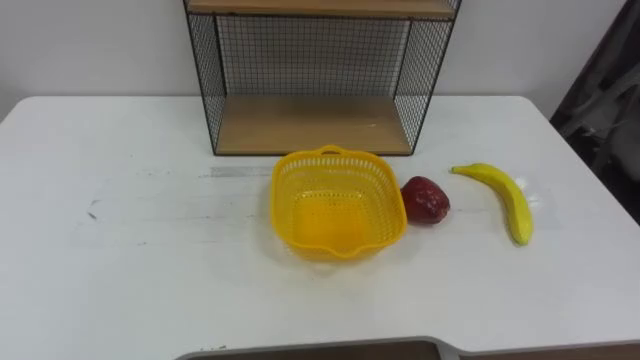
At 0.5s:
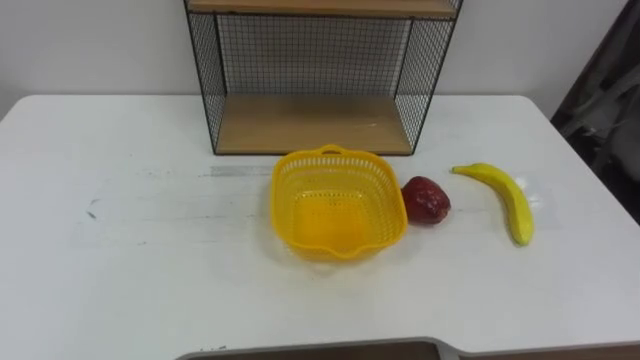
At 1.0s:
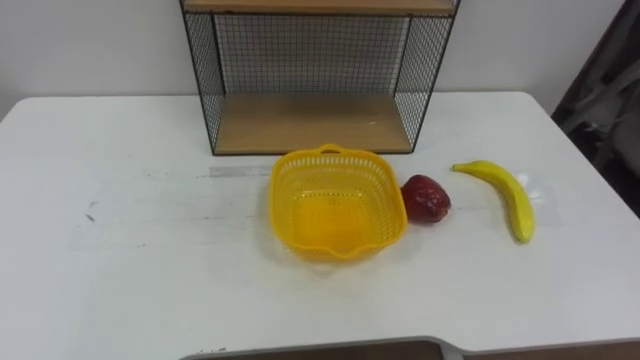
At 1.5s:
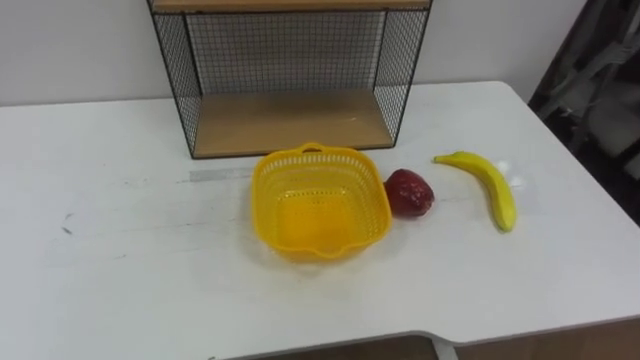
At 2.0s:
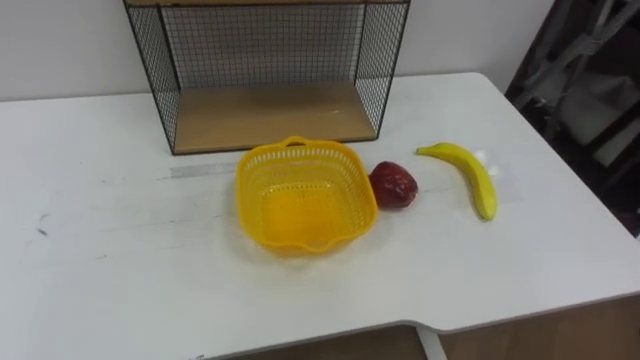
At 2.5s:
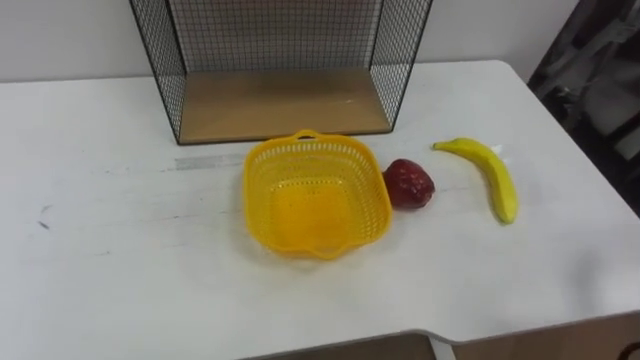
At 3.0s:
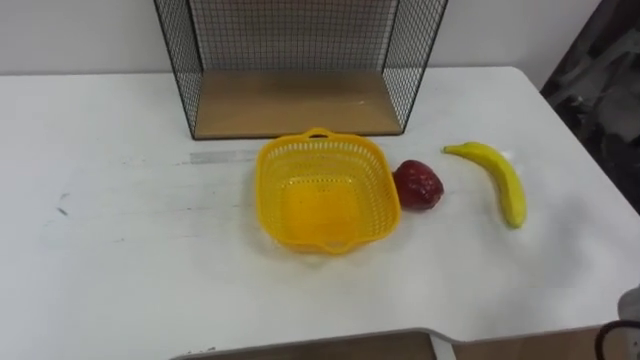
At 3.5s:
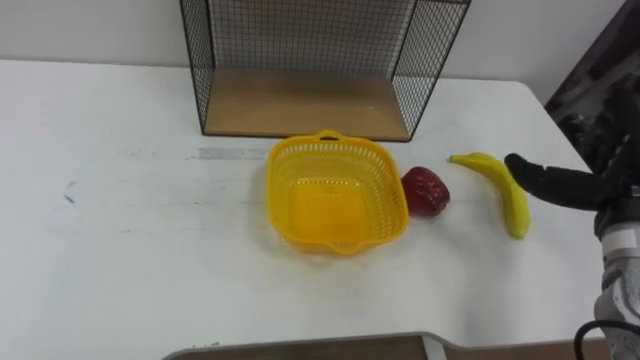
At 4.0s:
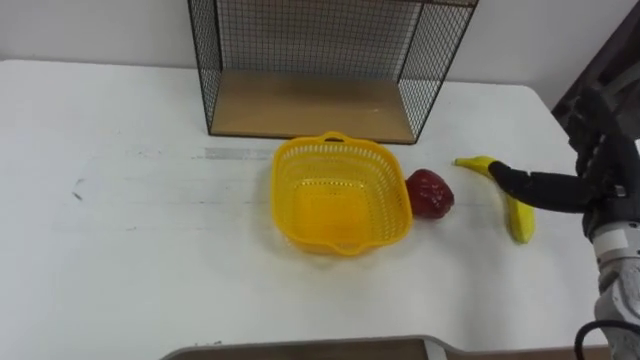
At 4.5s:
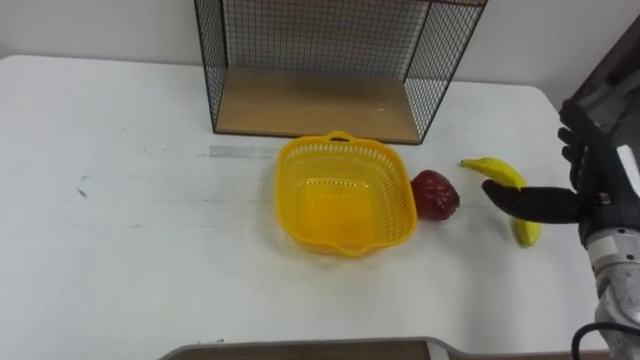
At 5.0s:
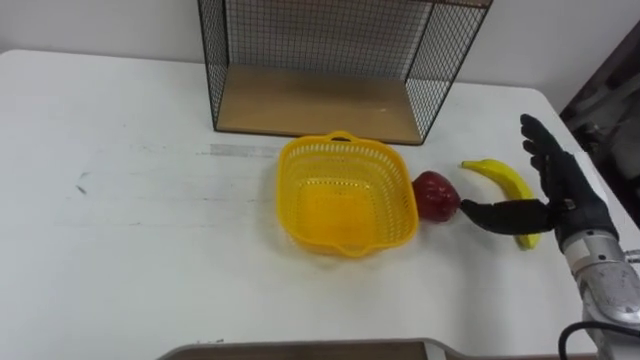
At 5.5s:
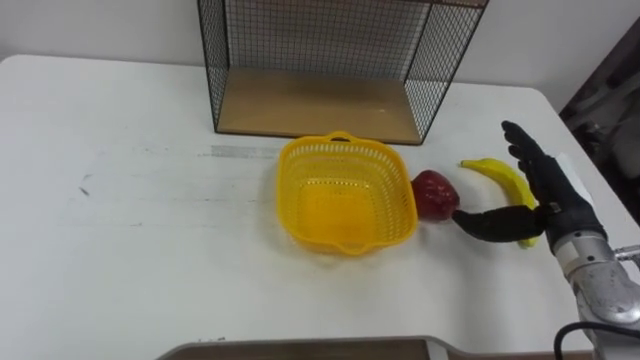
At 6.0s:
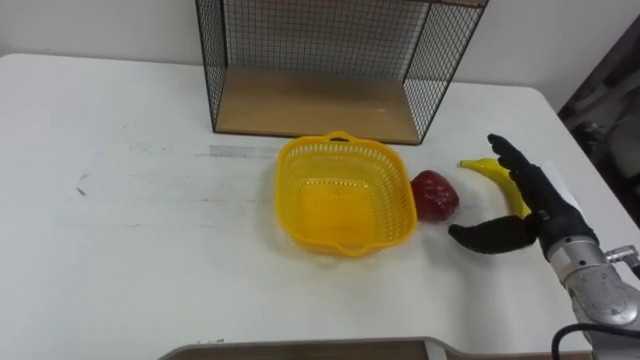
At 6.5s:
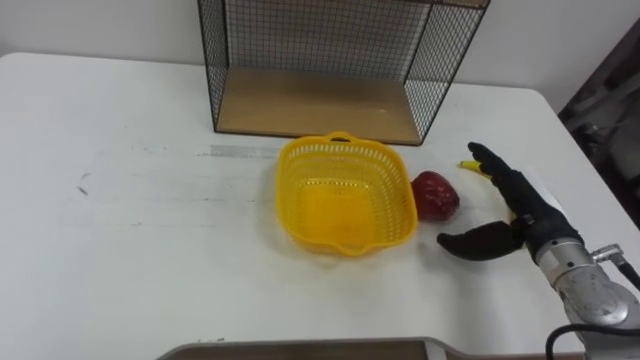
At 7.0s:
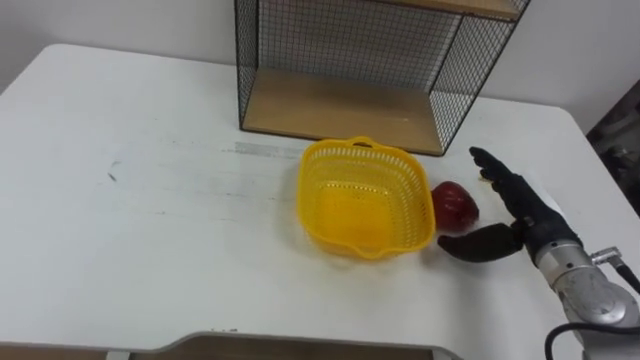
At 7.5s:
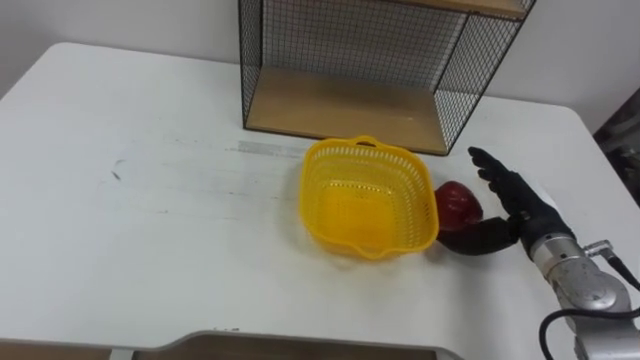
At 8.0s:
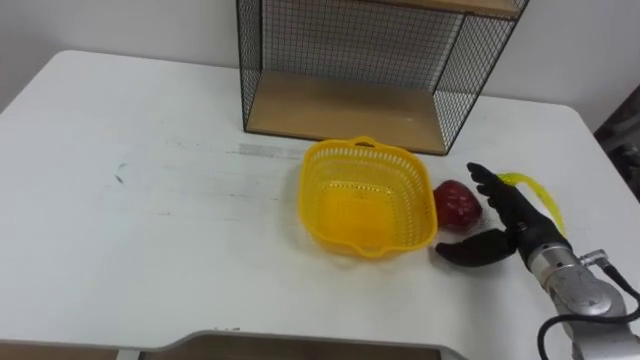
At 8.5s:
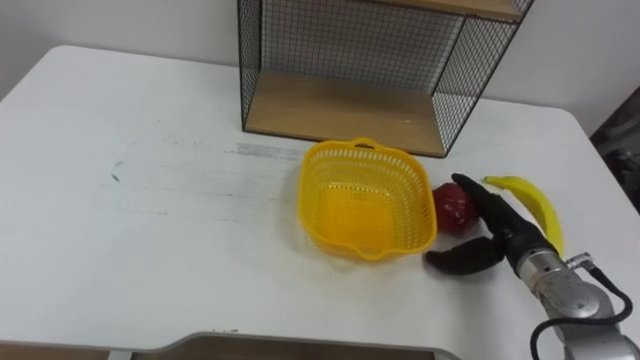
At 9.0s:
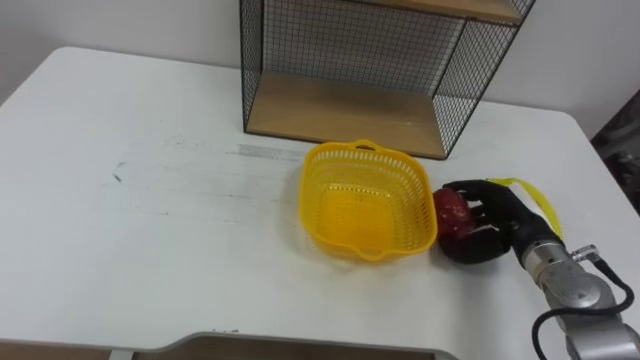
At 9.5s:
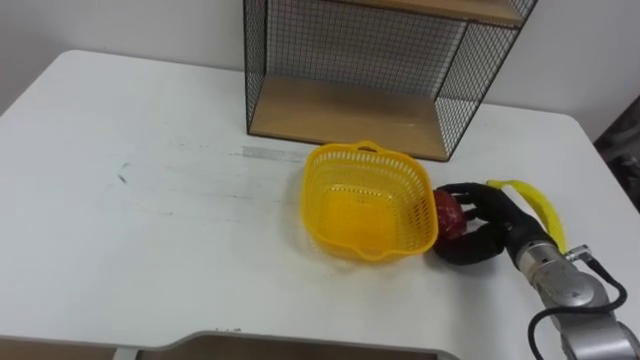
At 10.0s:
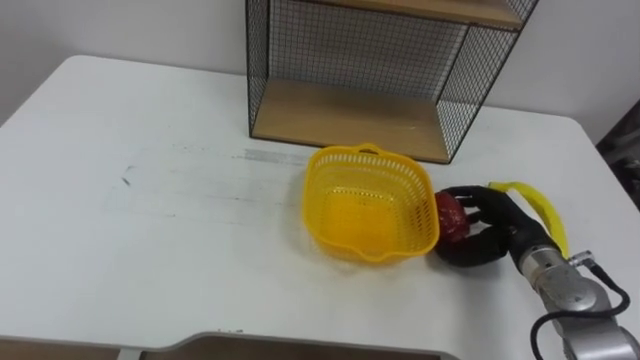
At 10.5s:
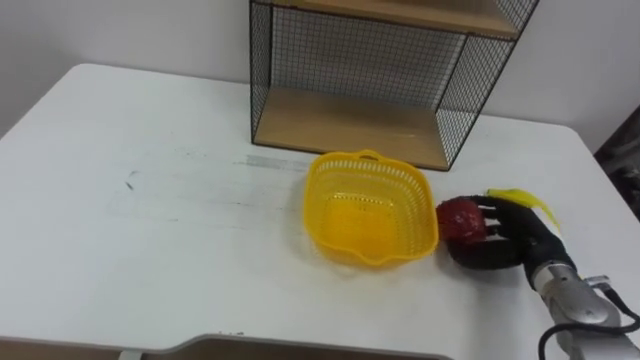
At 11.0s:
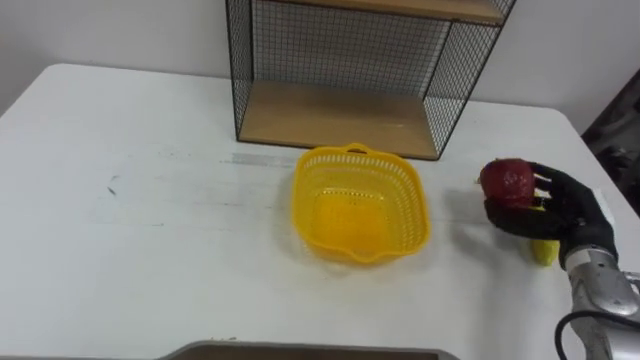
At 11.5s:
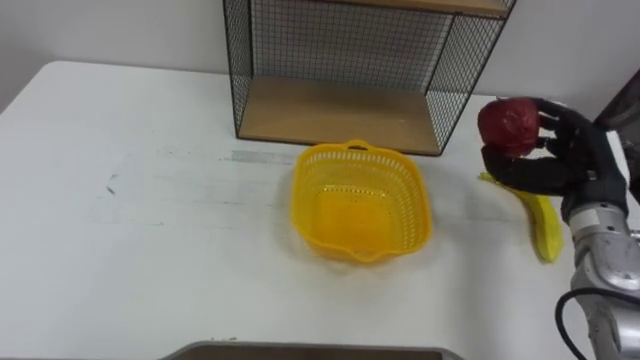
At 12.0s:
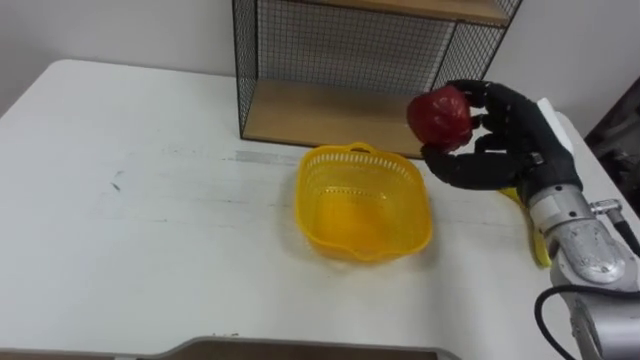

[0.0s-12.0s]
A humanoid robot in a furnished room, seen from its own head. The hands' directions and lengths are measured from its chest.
Task of the whole recording: Put the fruit on the table into the basket, then place the basket on the shelf.
4.0s to 6.0s: The right hand moves about 5 cm.
8.0s to 10.0s: The right hand closes.
10.0s to 12.0s: The right hand is displaced upward by roughly 15 cm.

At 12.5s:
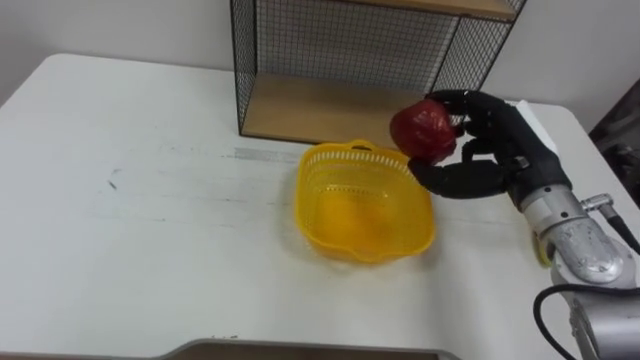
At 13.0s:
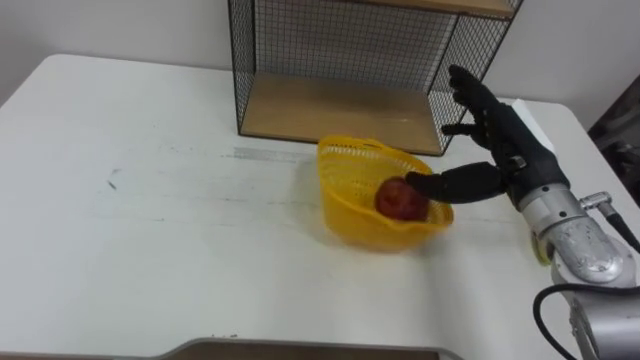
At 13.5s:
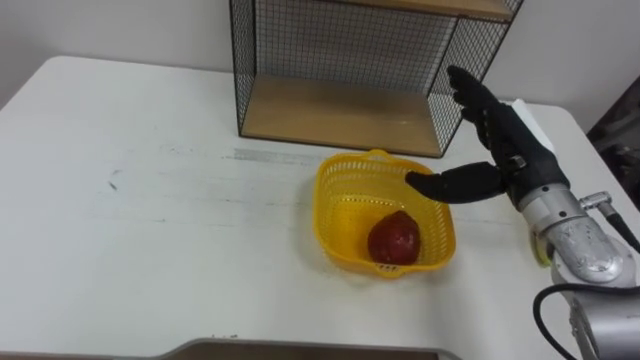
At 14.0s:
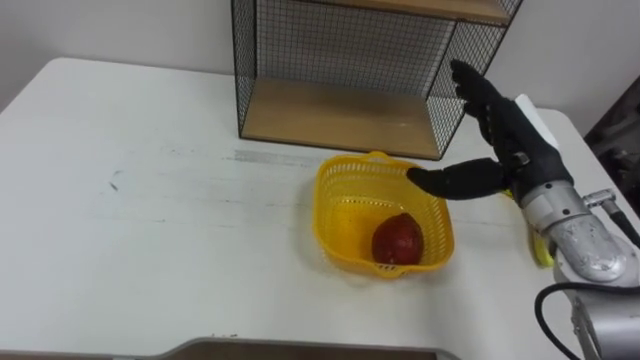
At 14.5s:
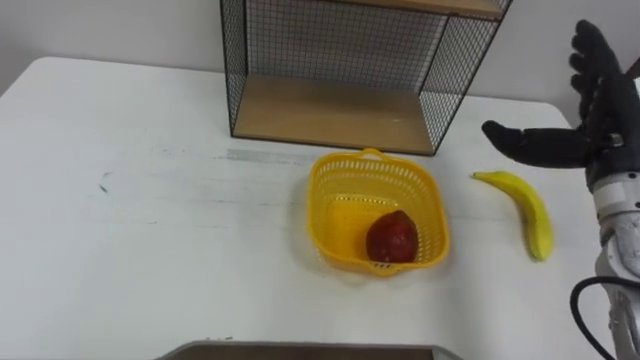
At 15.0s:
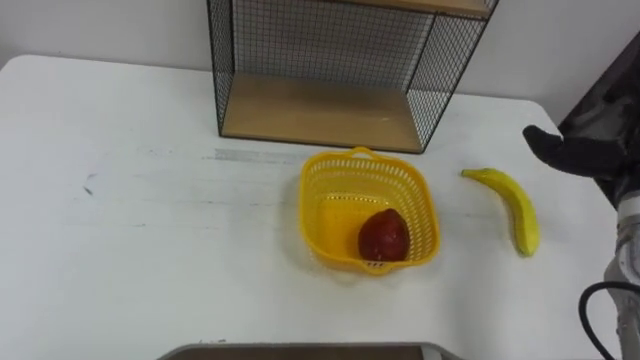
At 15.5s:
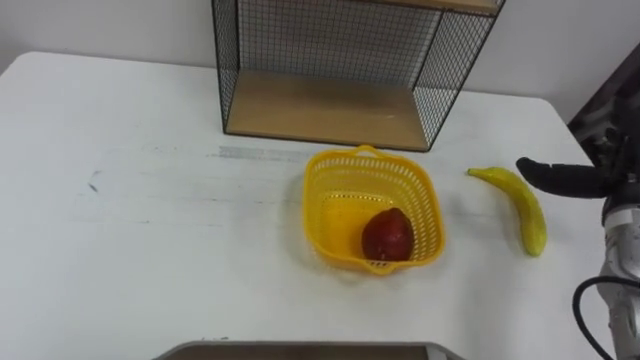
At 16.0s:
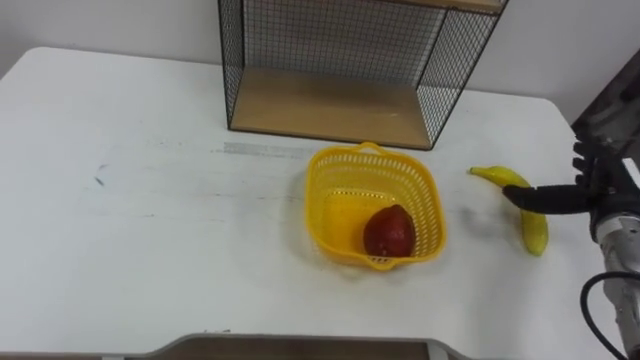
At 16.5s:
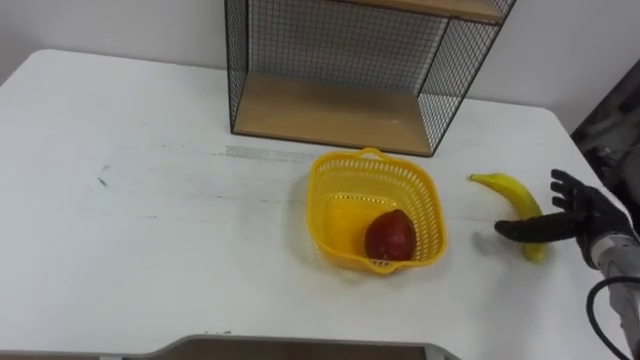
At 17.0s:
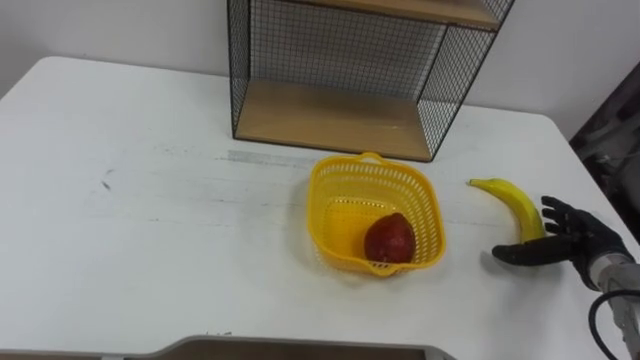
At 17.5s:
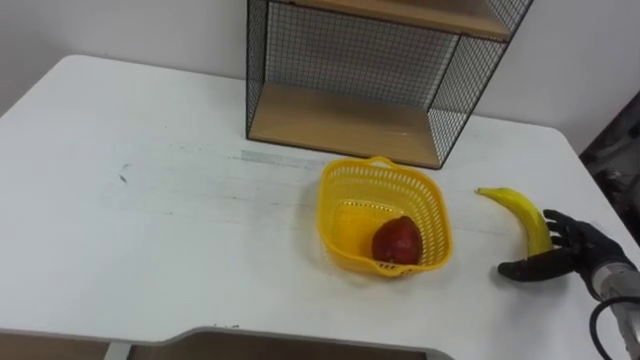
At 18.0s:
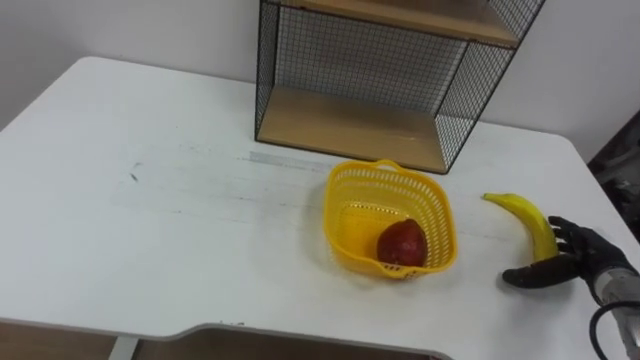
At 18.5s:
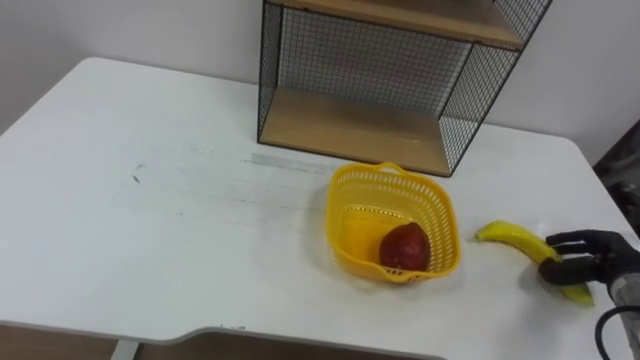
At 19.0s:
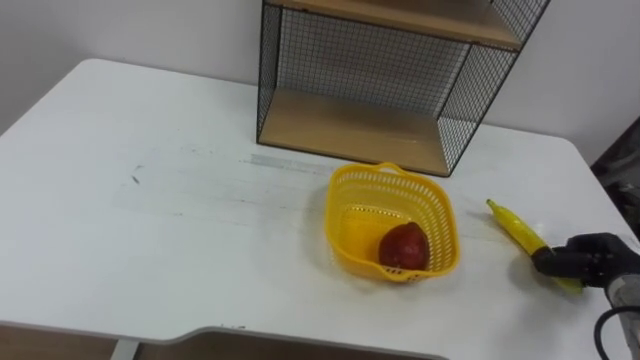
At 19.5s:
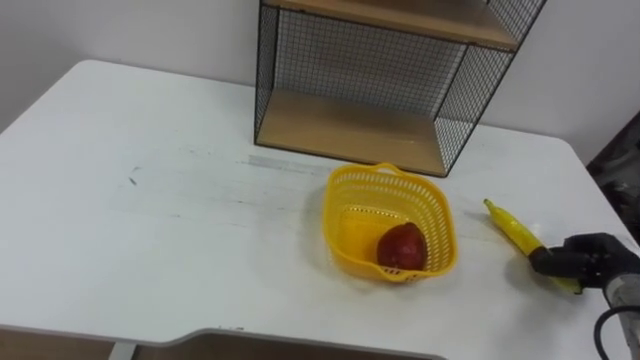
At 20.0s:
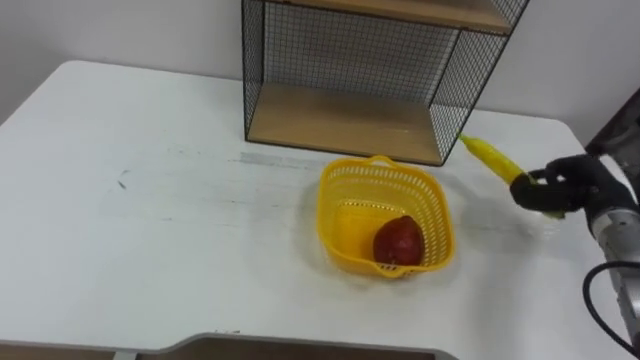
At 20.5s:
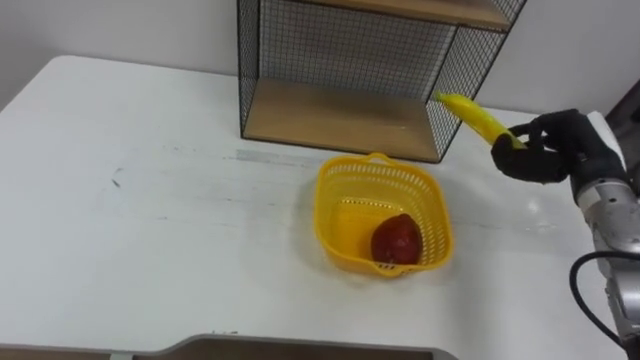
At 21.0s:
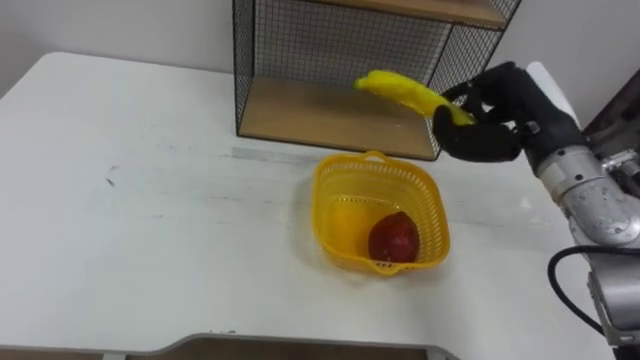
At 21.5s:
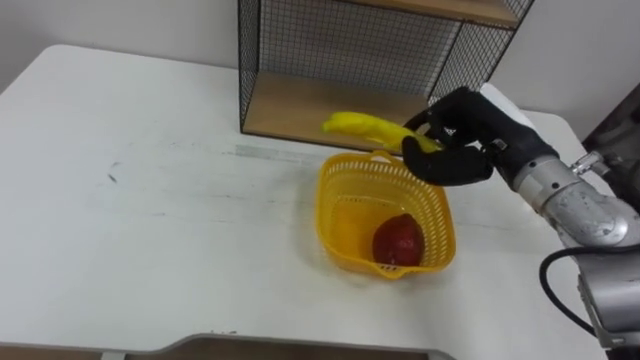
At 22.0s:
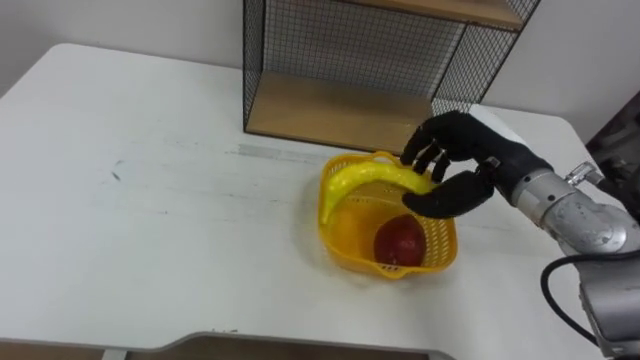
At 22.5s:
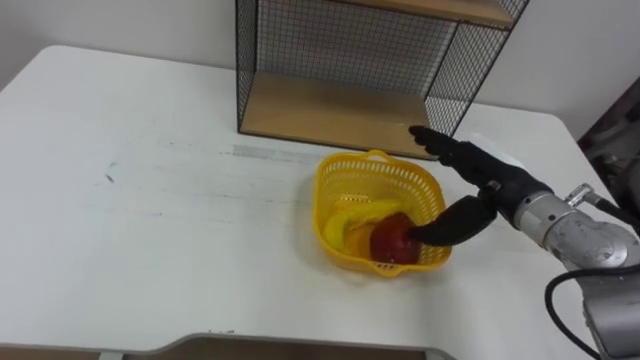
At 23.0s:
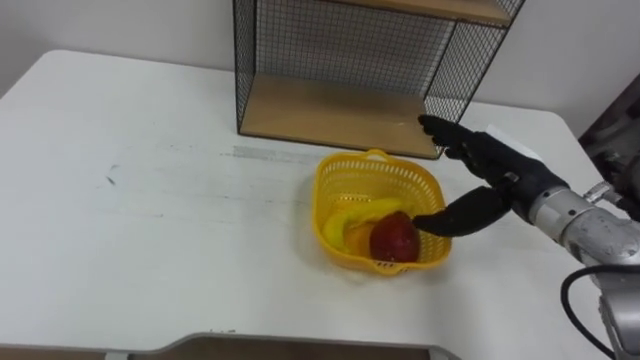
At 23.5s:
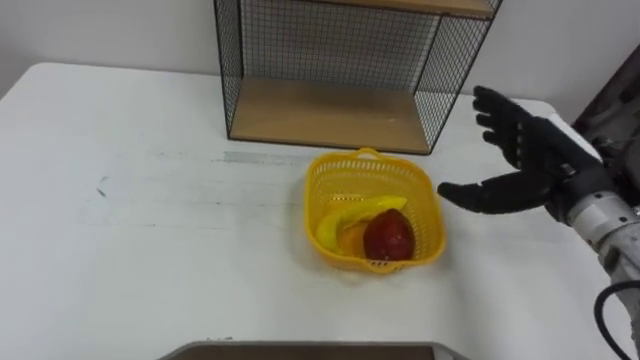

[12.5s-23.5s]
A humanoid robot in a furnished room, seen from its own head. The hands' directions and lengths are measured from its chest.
Task of the whole recording: Put the fruit on the table into the basket, then place the basket on the shelf.
12.5s to 14.5s: The right hand travels to the right by about 10 cm, and opens its fingers.
16.0s to 18.0s: The right hand is displaced downward by roughly 10 cm.
18.0s to 20.0s: The right hand heads upward and forward, covering approximately 10 cm, and closes up.
20.0s to 21.5s: The right hand shifts approximately 20 cm to the left and upward.
21.5s to 23.5s: The right hand shifts some 5 cm to the right, and opens.
